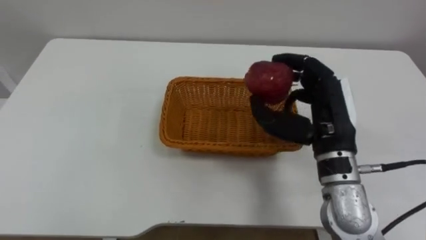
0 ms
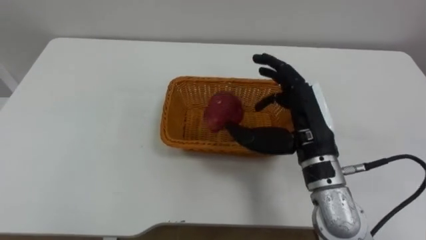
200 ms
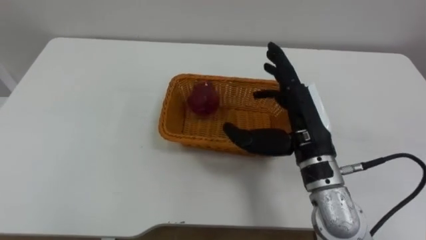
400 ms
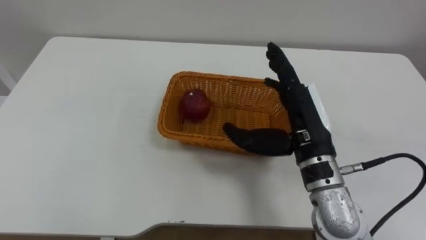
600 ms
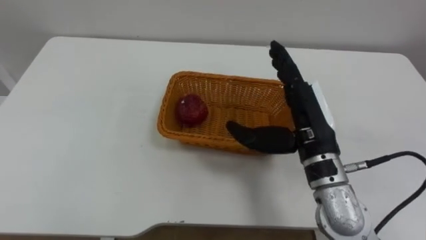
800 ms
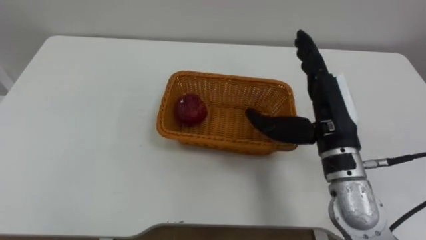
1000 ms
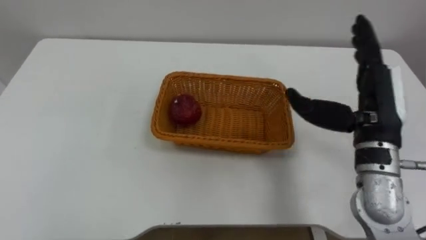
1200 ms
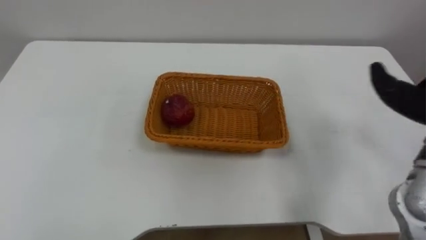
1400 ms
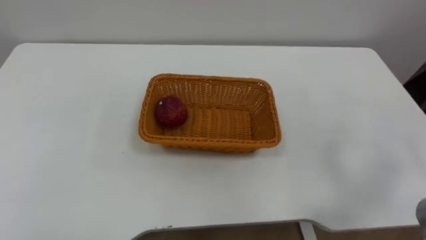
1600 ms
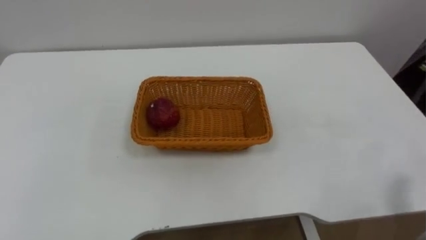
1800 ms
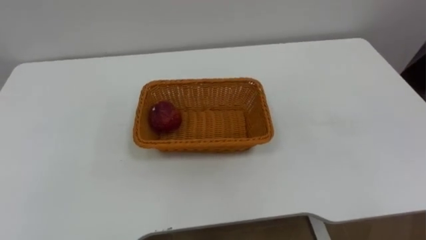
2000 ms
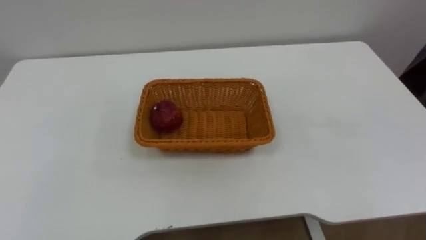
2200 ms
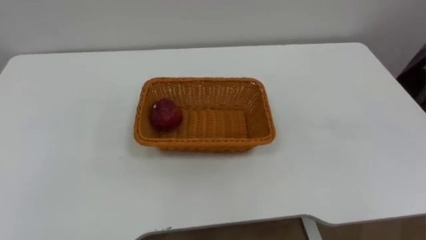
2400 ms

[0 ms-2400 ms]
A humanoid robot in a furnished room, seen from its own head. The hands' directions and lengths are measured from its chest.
Task of the whole recording: Pick the apple and place it in the box.
0 ms to 1200 ms: The right hand opens its fingers.

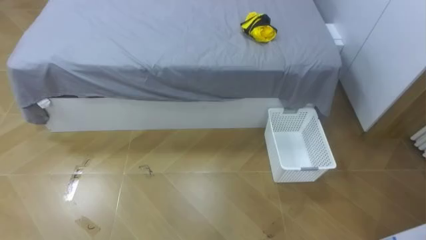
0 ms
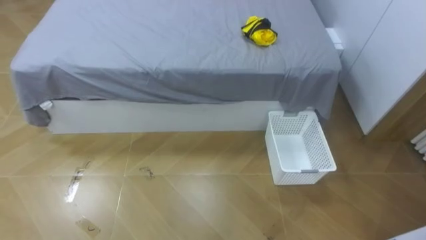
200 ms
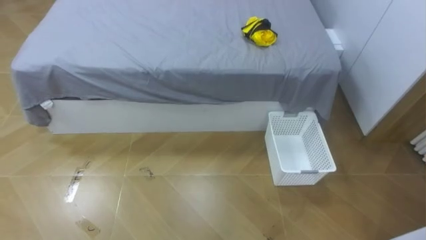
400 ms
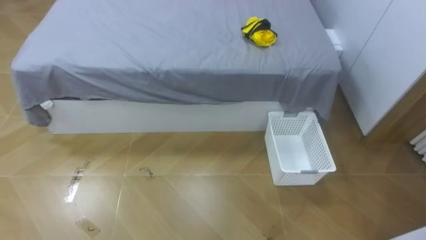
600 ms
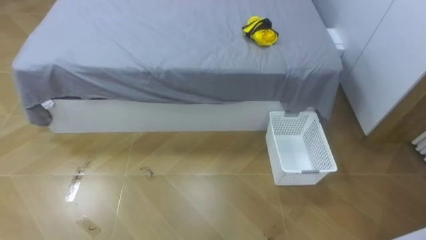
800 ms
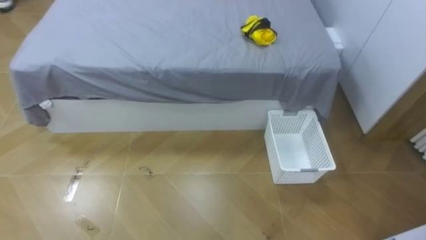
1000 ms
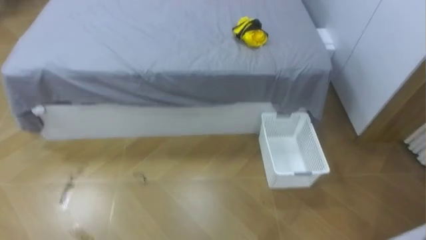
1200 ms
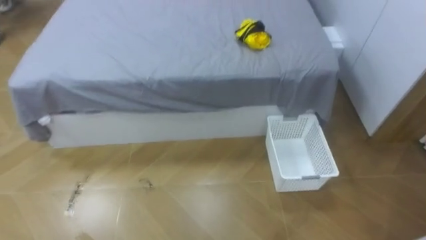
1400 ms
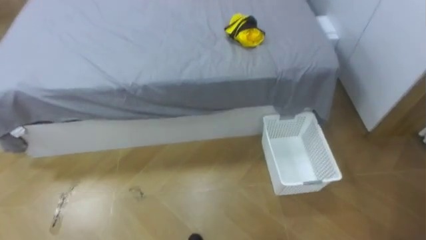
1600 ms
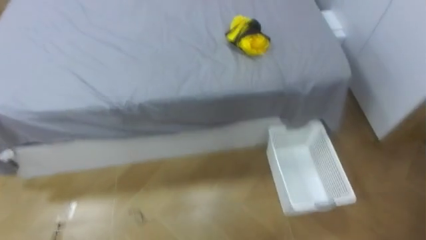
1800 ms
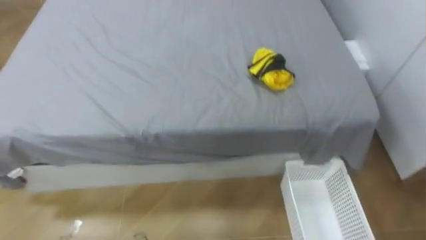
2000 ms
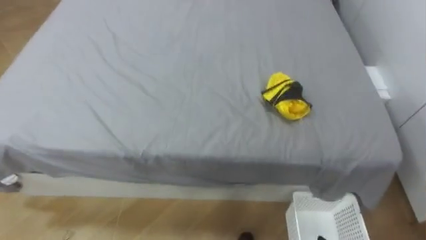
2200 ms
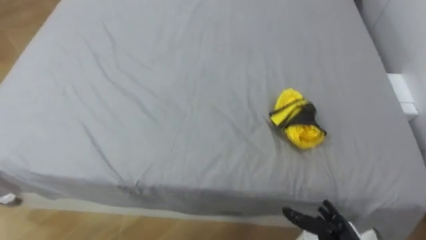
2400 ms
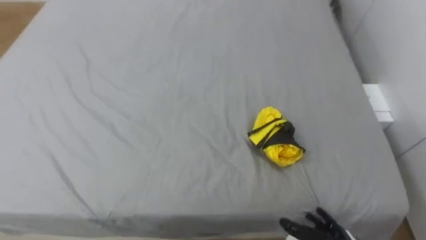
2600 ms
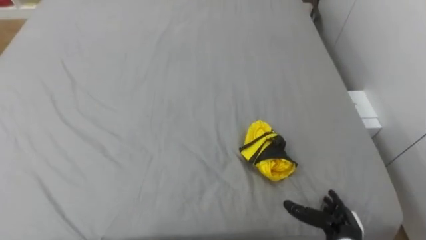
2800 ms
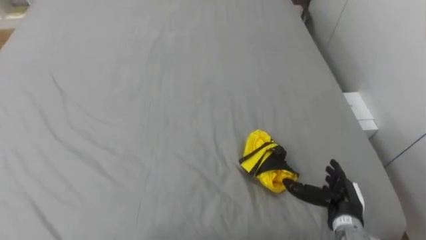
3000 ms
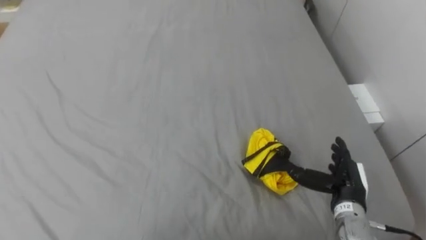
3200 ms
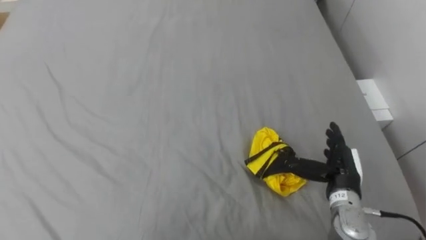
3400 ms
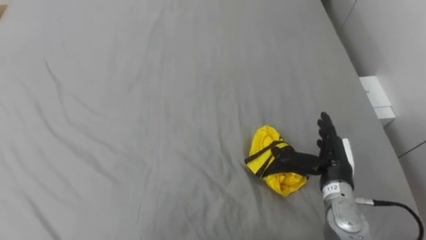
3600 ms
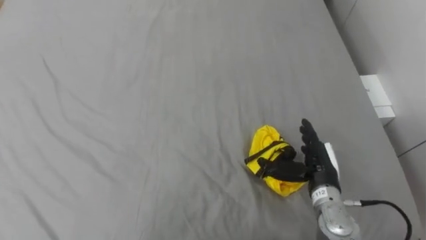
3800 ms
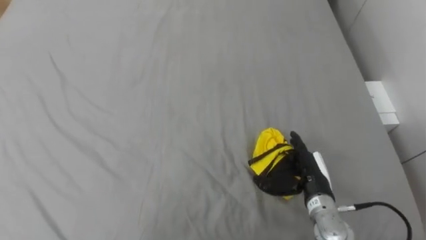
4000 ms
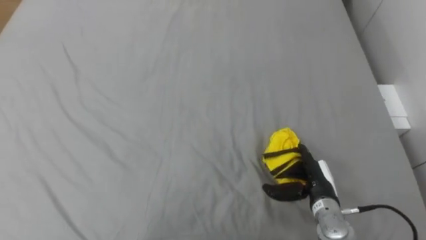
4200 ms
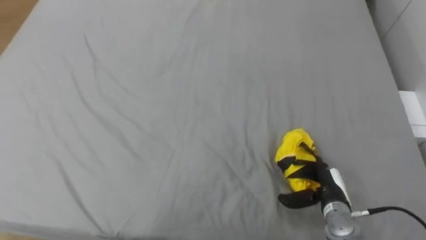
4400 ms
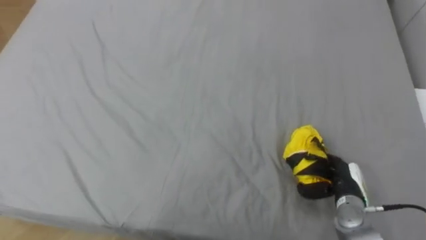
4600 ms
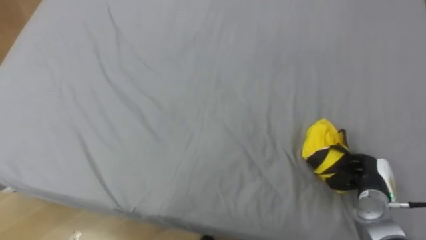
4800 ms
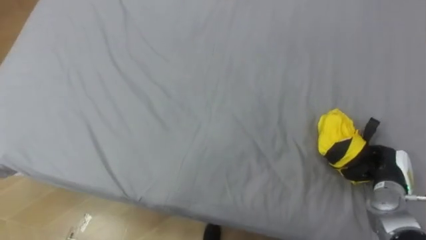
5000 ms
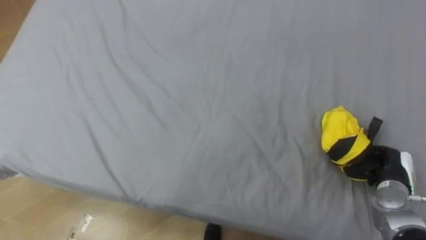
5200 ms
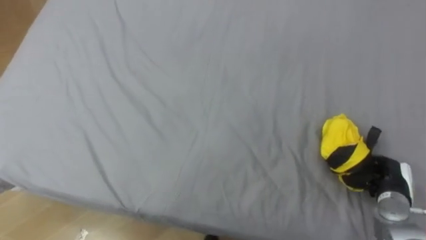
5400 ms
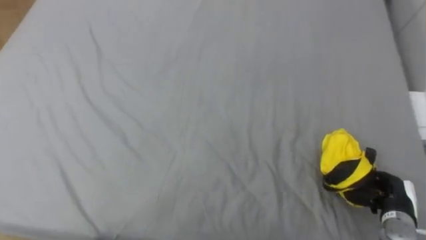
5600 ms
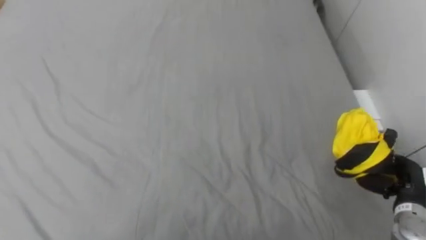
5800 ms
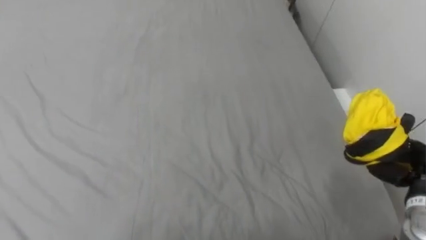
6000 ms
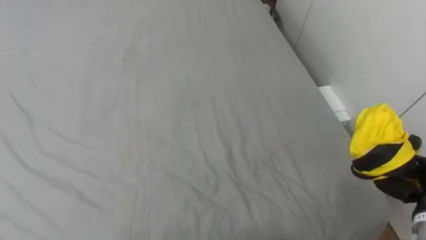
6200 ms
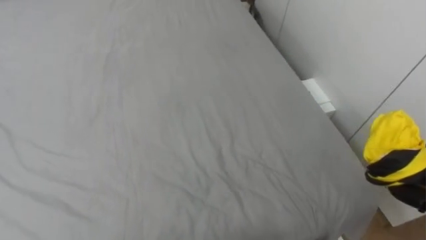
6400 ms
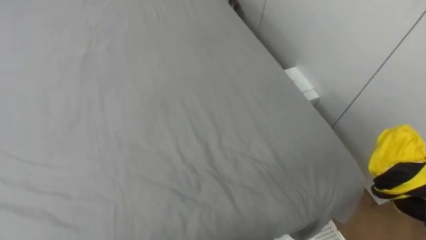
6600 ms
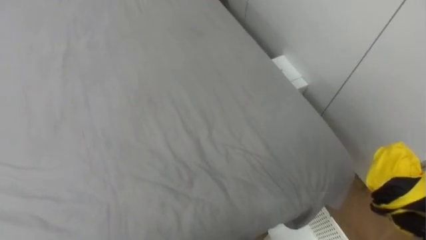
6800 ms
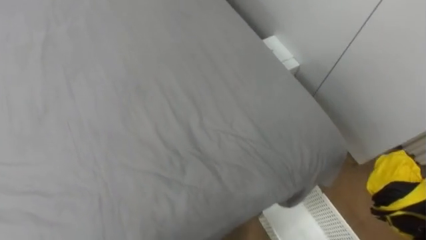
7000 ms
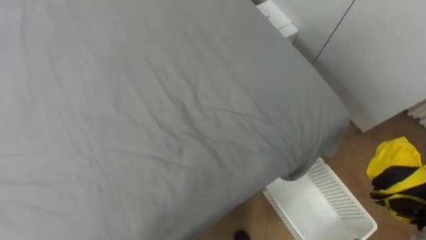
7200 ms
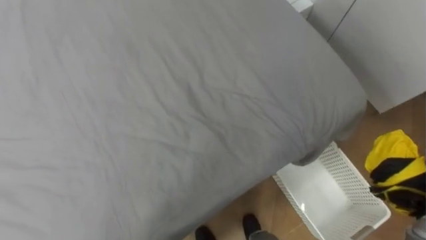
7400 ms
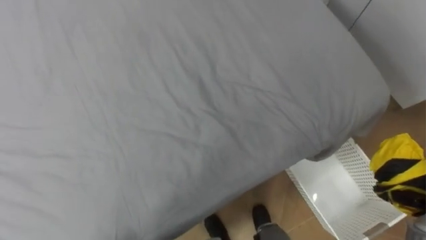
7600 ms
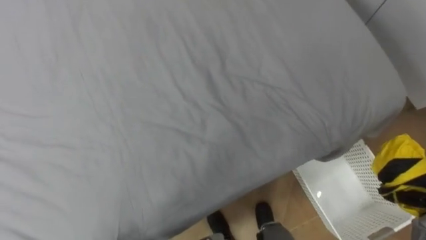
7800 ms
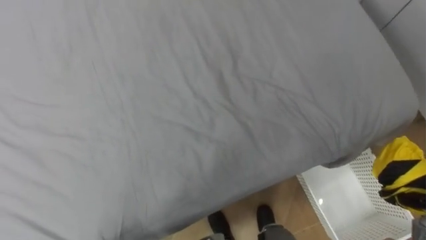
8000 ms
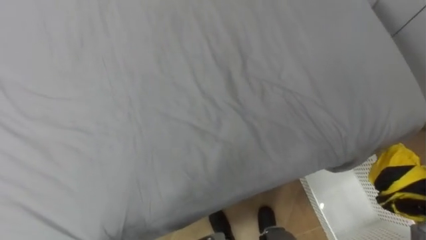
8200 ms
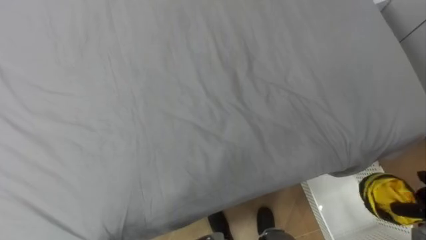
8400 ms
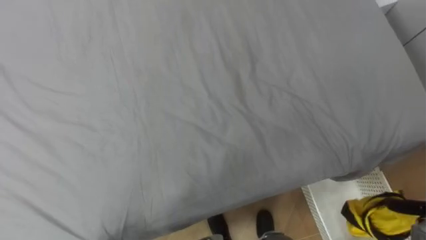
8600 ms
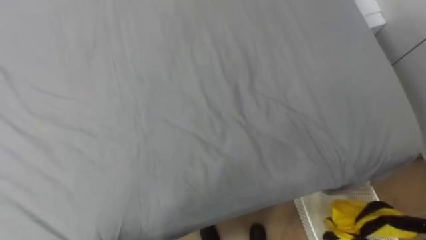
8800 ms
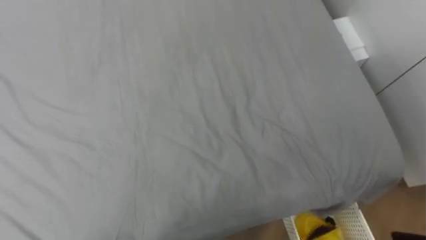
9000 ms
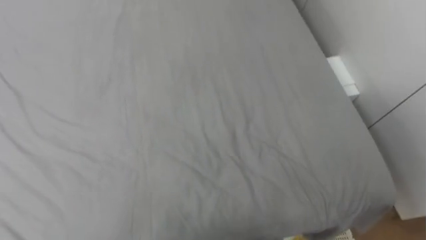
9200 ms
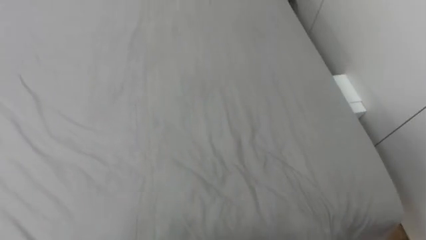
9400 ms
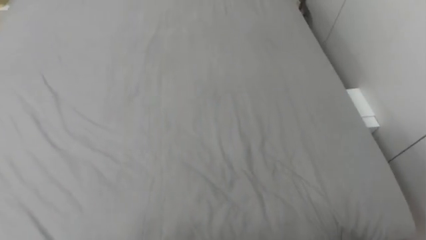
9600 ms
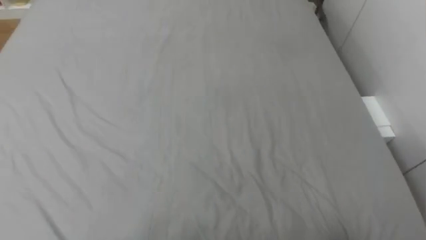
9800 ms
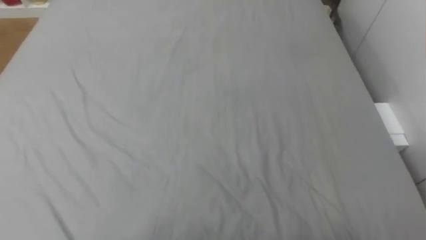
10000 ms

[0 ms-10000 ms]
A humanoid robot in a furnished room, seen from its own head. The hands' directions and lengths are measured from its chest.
Task of the whole recording: Pick up the yellow clothes on the bed and place them into the white basket on the right.
2800 ms to 4200 ms: The right hand goes roughly 10 cm forward.
4200 ms to 5800 ms: The right hand shifts roughly 15 cm to the right, and closes.

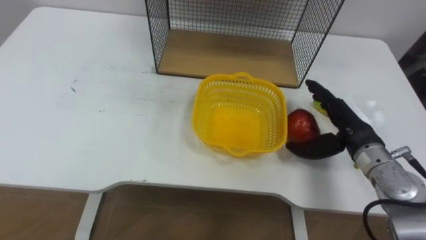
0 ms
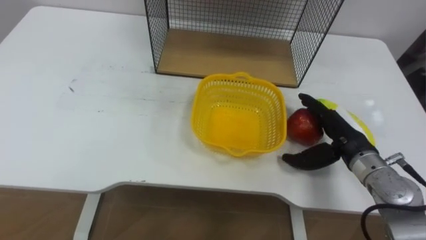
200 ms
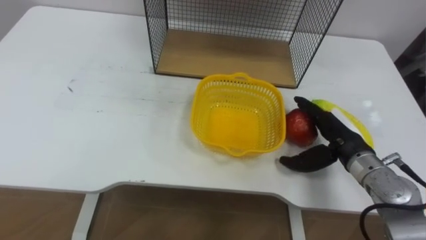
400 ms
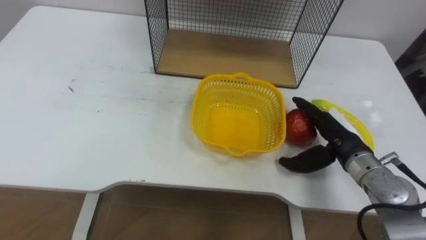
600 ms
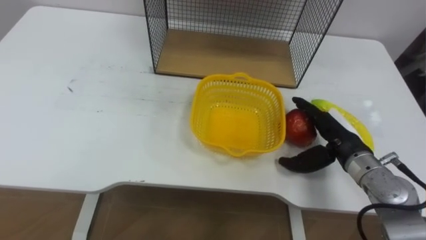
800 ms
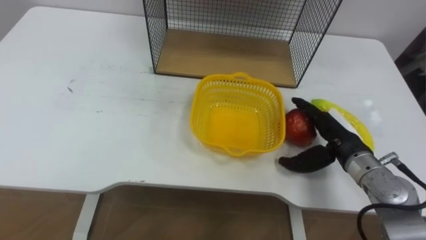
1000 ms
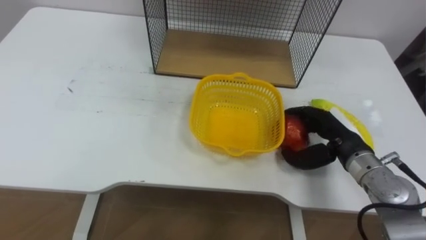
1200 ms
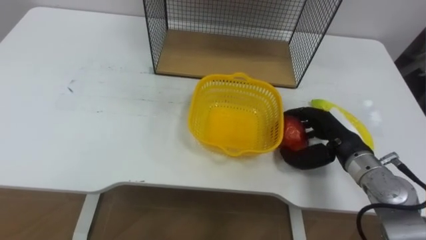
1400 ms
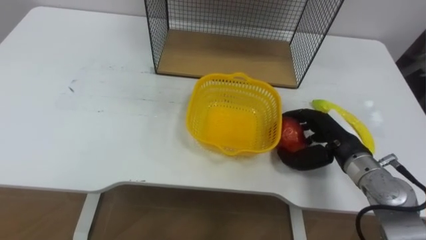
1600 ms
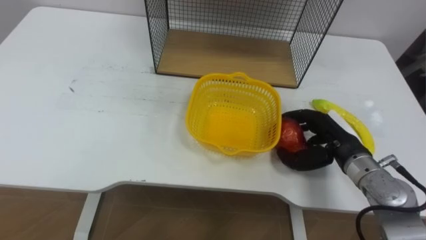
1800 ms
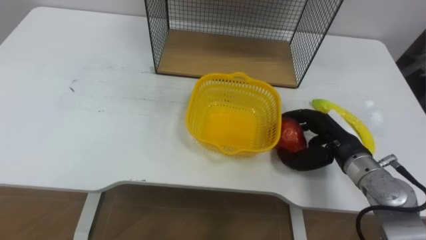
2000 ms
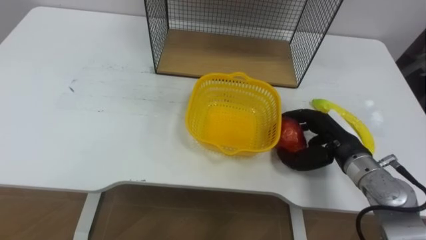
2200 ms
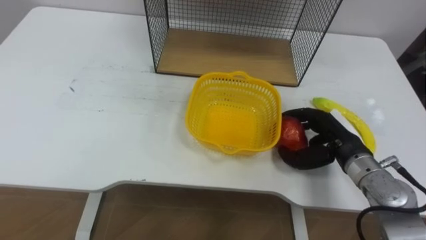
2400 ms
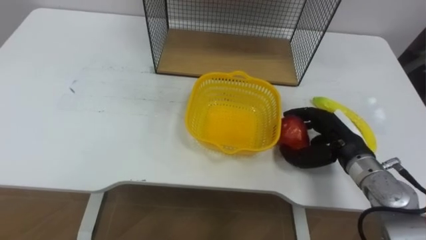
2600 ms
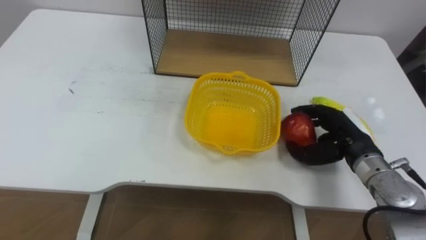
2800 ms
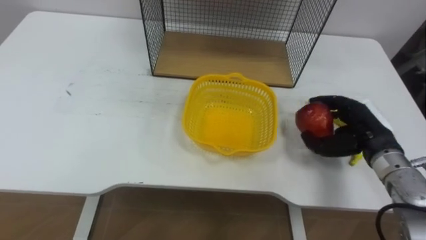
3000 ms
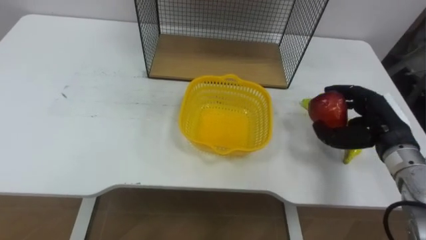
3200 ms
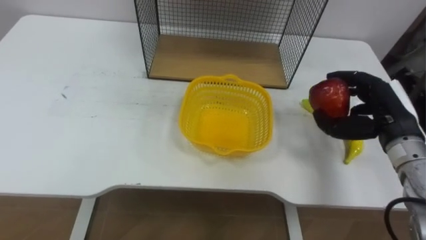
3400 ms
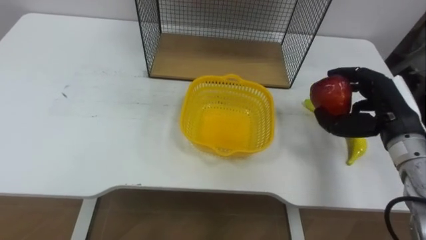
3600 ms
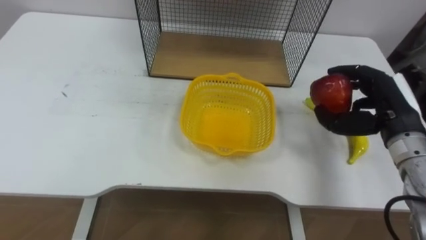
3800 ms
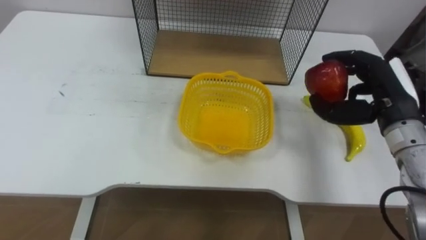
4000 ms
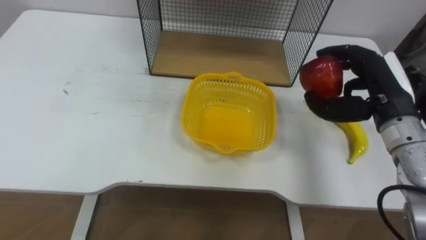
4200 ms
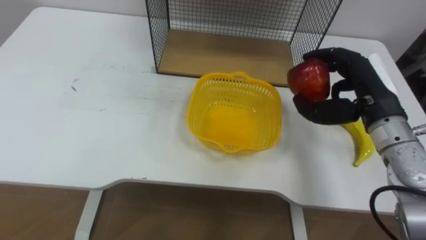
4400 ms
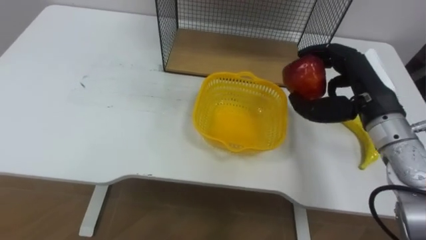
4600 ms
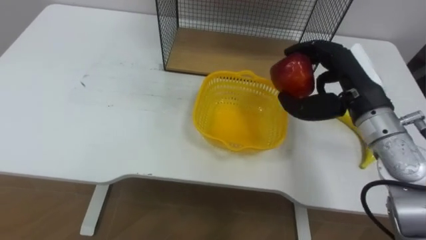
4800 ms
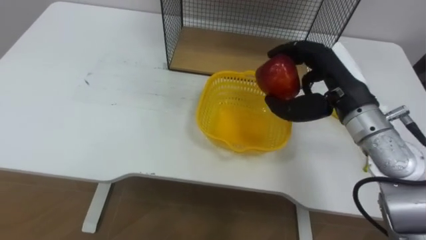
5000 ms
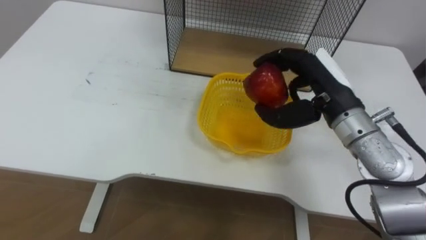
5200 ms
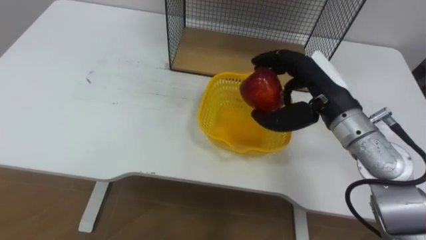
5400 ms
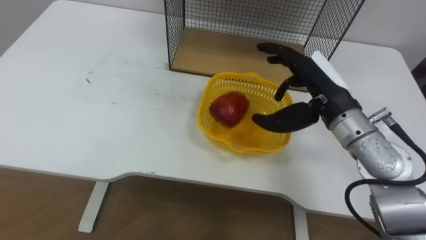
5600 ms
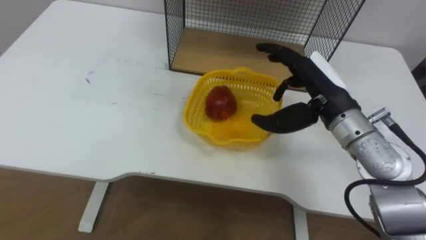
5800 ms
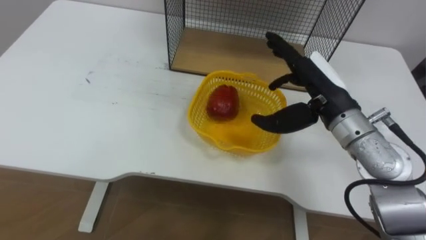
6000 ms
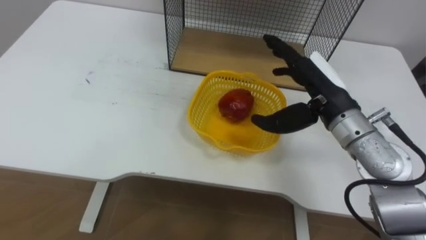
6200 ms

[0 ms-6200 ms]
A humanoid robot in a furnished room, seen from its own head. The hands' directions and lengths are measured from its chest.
Task of the whole recording: Put the fruit on the table into the basket, then place the basket on the shelf.
0 ms to 1600 ms: The right hand closes.
1600 ms to 3200 ms: The right hand shifts approximately 5 cm to the right.
3200 ms to 4600 ms: The right hand shifts approximately 10 cm upward and to the left.
4600 ms to 6200 ms: The right hand is displaced to the left by approximately 5 cm, and opens its fingers.
